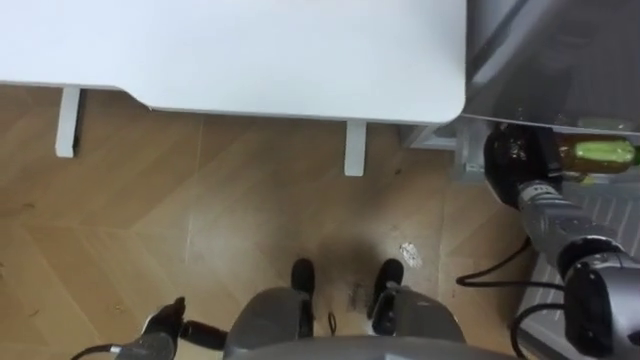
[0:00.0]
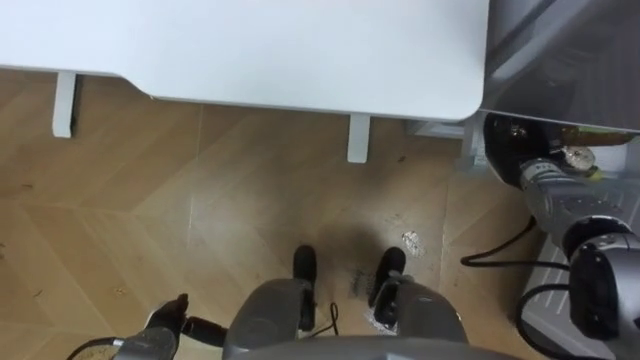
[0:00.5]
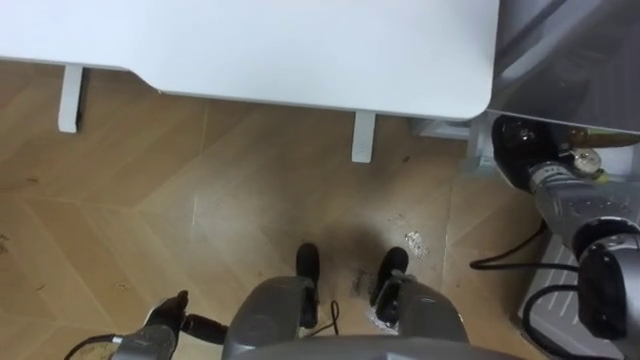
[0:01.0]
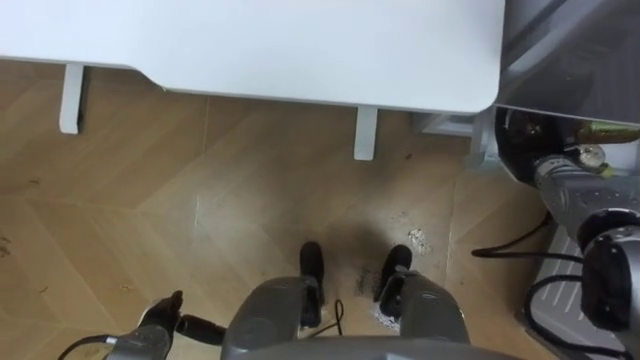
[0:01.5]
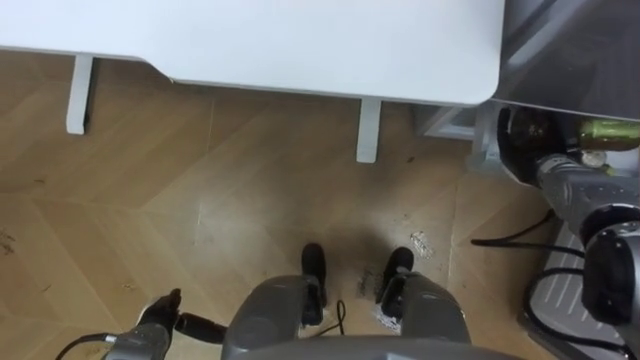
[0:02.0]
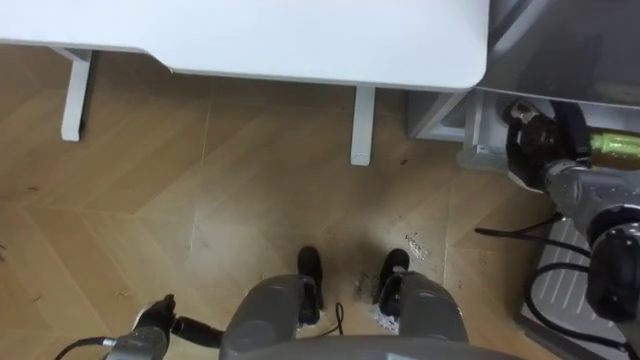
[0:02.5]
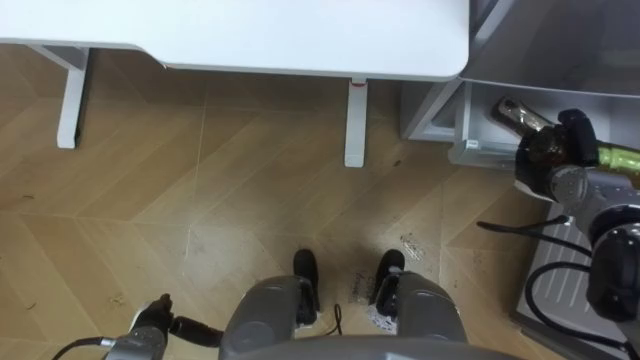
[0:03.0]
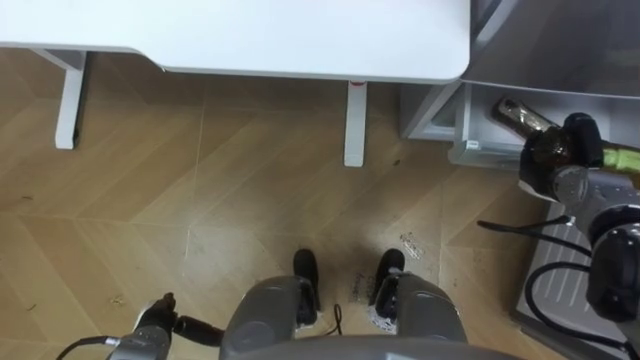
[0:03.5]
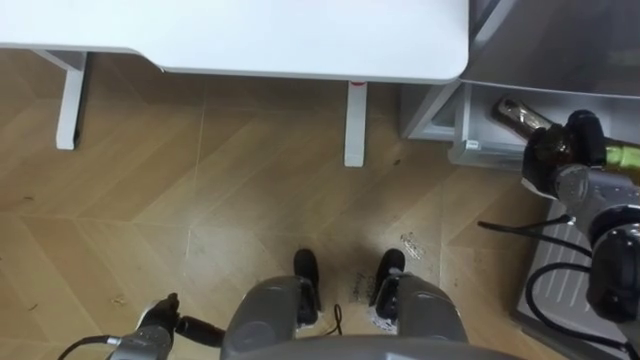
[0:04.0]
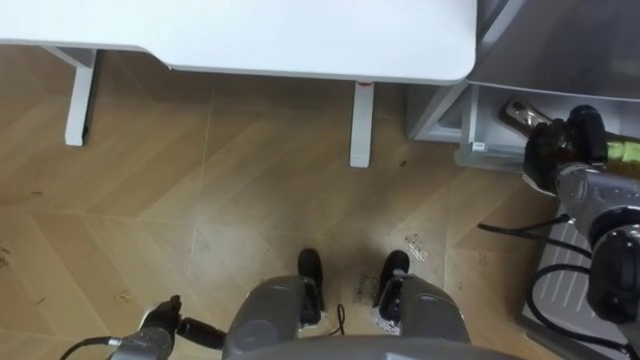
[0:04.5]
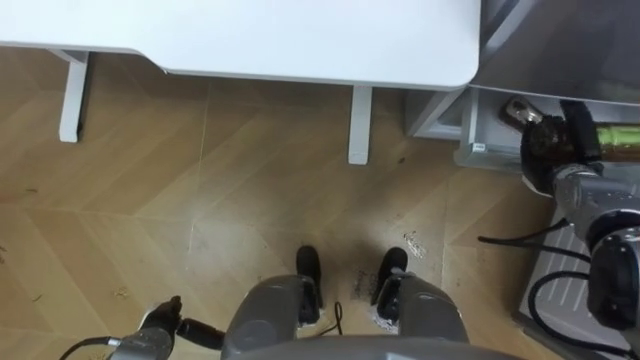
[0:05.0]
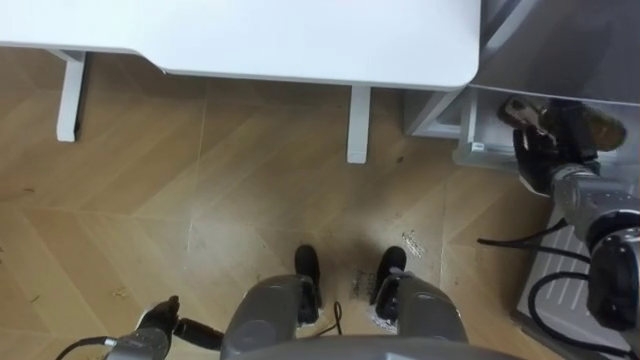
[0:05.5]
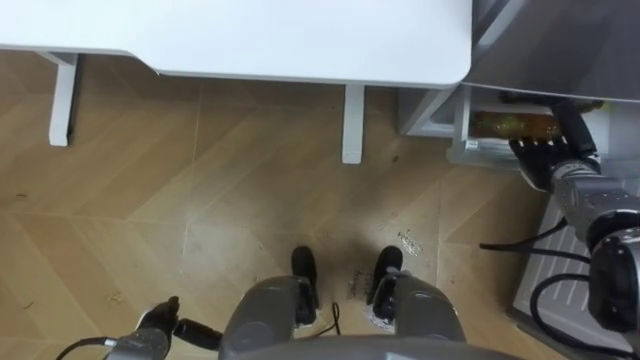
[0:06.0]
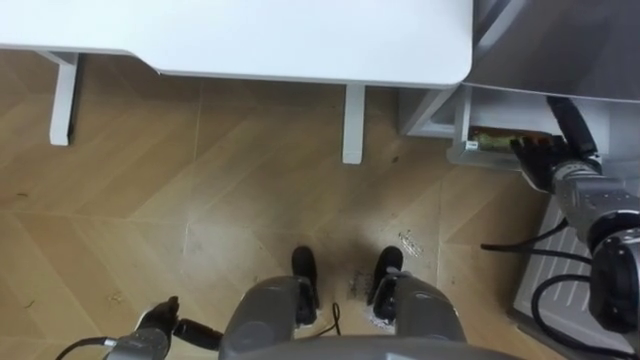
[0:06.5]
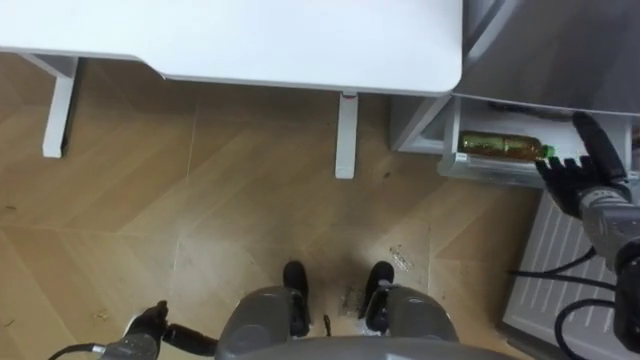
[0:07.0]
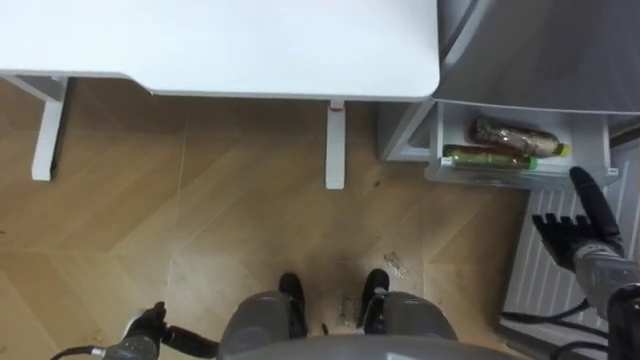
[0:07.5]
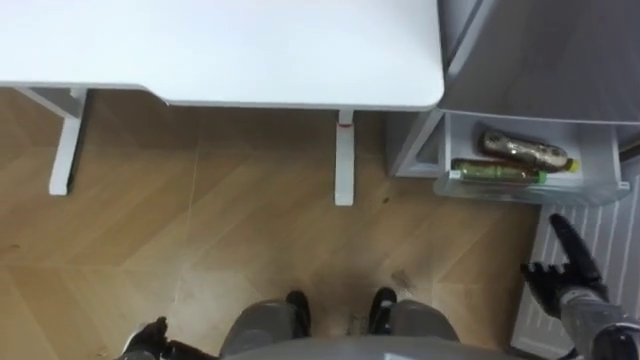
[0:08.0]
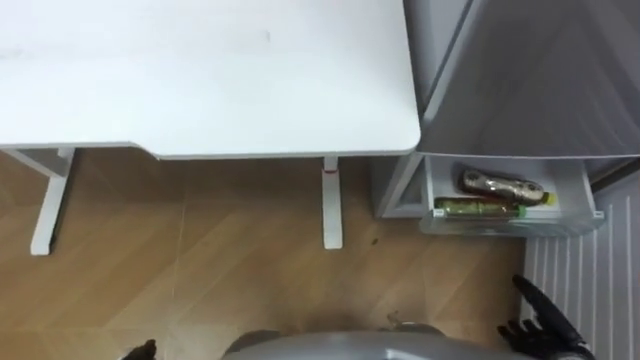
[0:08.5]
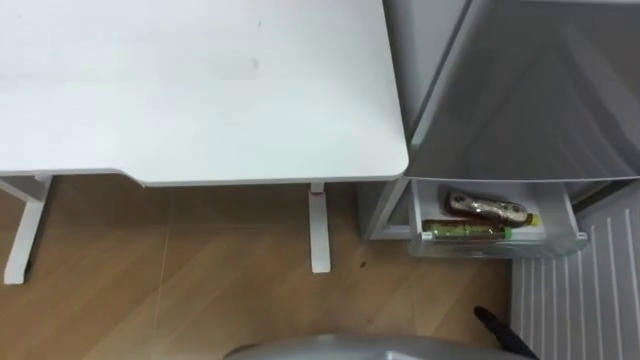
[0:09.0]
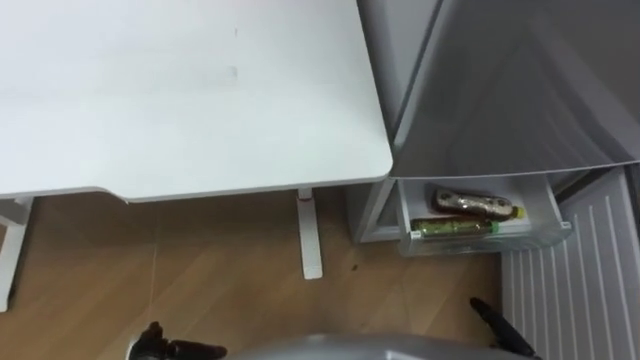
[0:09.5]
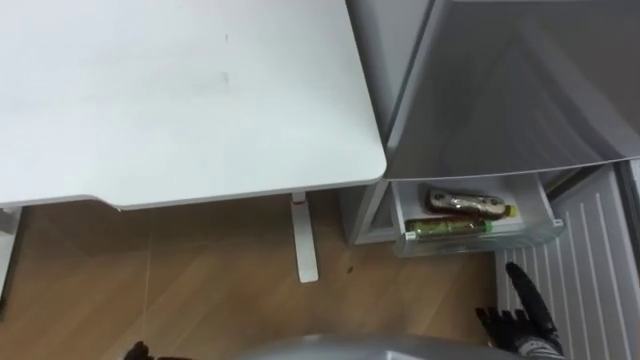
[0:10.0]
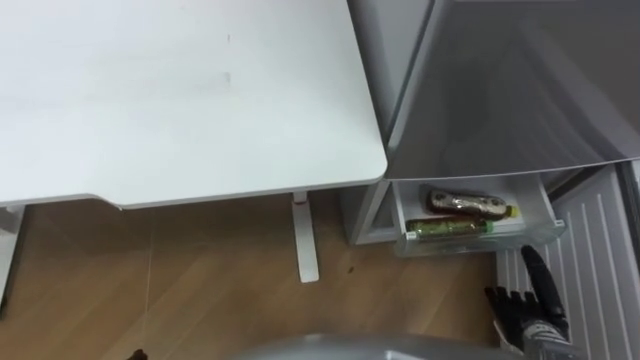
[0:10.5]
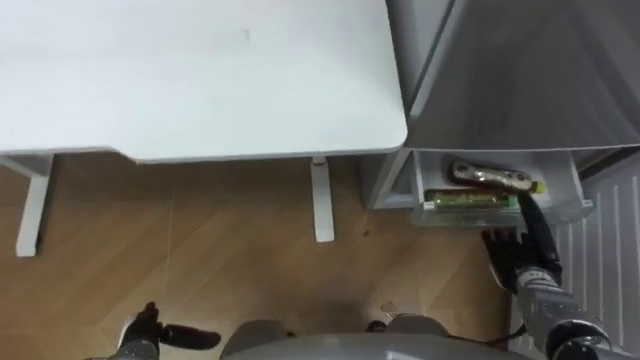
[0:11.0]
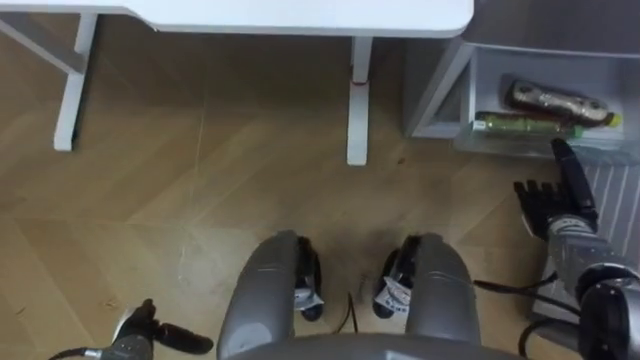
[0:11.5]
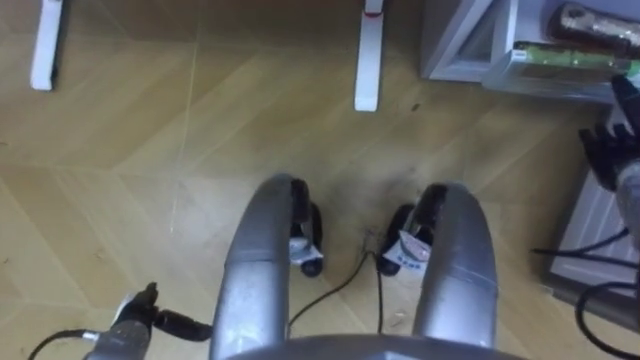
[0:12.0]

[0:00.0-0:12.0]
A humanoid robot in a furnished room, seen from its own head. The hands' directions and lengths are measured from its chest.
Task of the whole recording: Place the drink on the table on the bottom shelf of the refrigerator, then close the drawer and the refrigerator door.
0:04.0 to 0:06.0: The right hand opens its fingers.
0:06.0 to 0:08.0: The right hand travels backward and downward by about 15 cm.
0:10.0 to 0:12.0: The right hand shifts approximately 30 cm forward, upward and to the right.

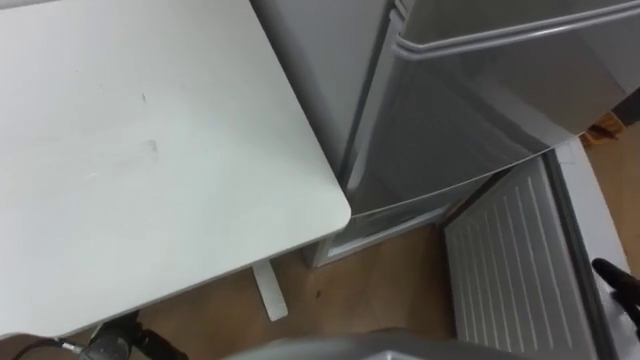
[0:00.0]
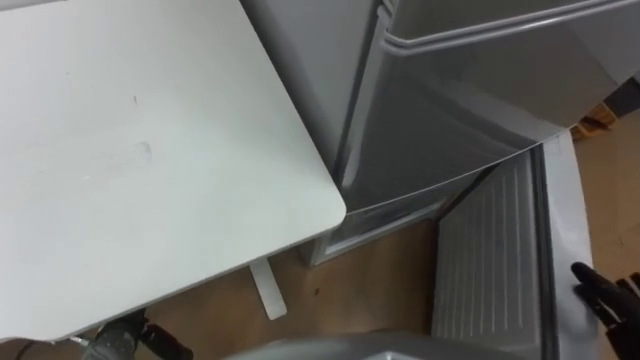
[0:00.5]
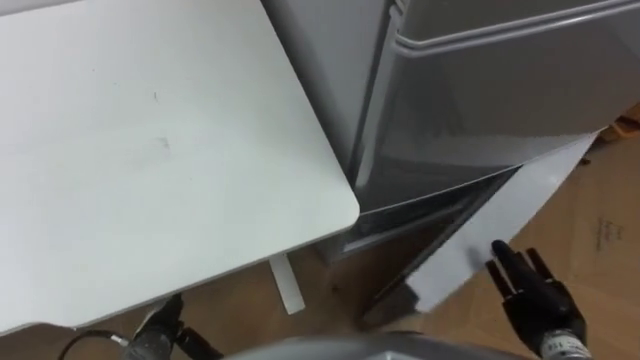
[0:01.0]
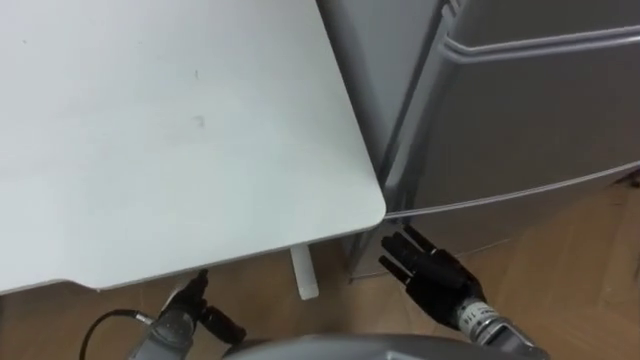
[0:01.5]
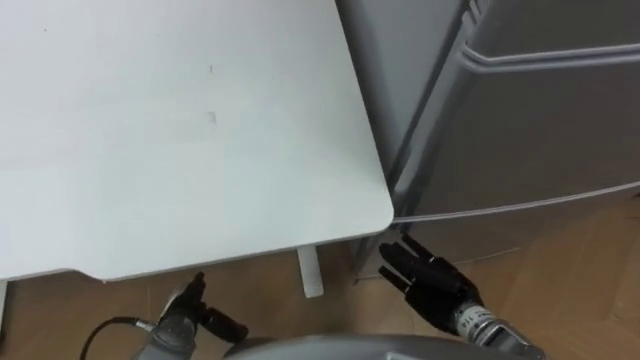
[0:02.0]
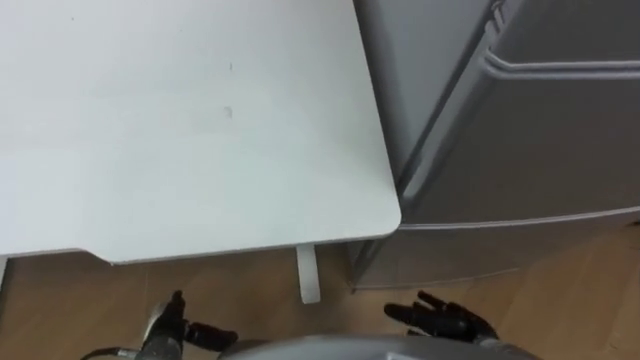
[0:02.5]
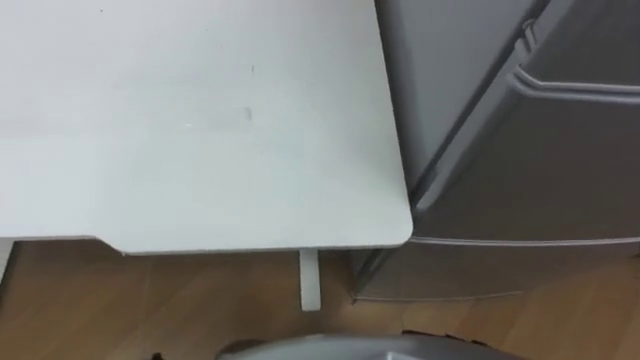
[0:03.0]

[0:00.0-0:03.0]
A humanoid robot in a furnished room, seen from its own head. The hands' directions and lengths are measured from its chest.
Task of the whole recording: Place the drink on the table on the bottom shelf of the refrigerator, then close the drawer and the refrigerator door.
0:00.0 to 0:01.5: The left hand goes approximately 10 cm to the right.

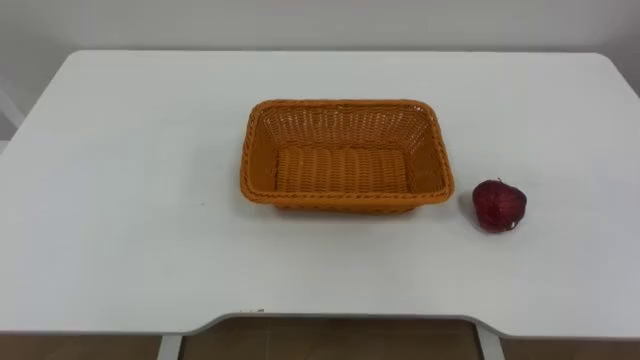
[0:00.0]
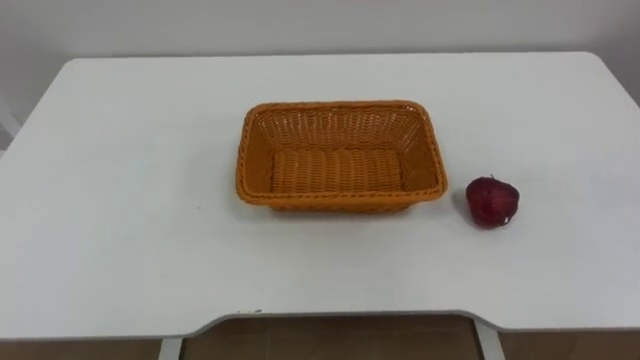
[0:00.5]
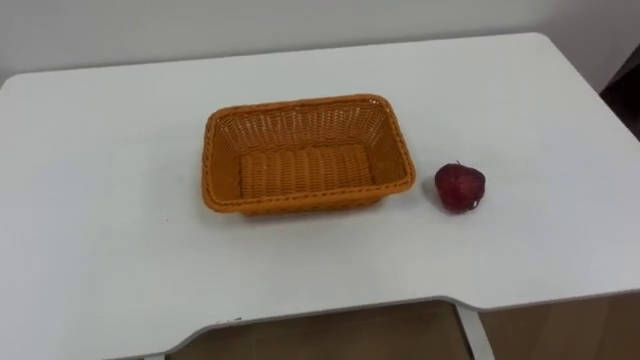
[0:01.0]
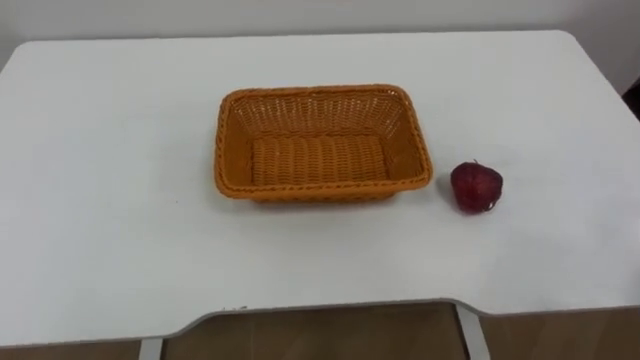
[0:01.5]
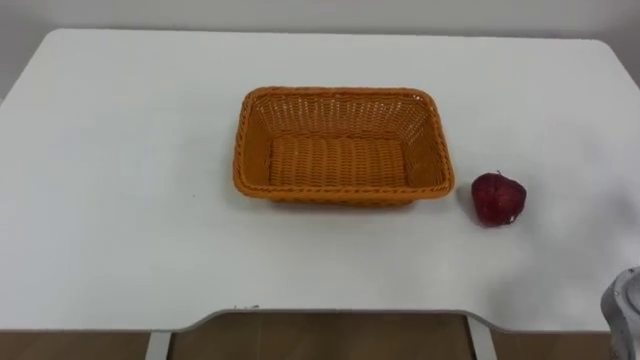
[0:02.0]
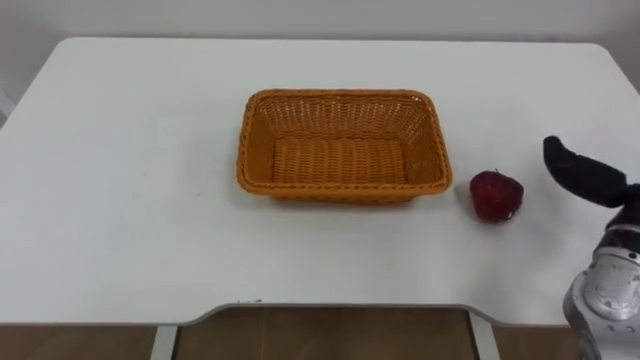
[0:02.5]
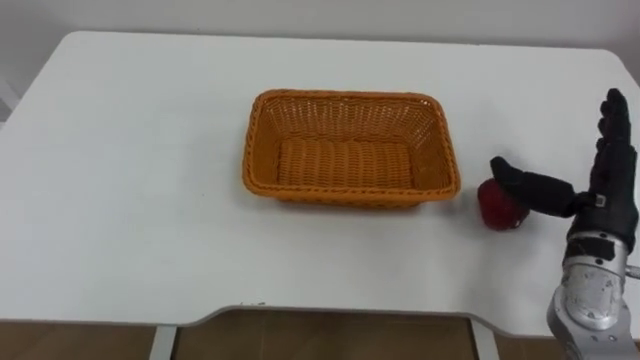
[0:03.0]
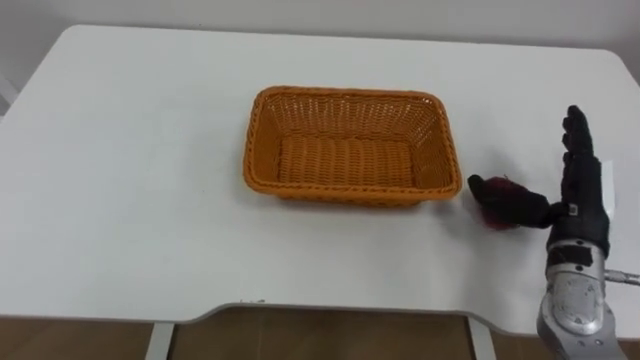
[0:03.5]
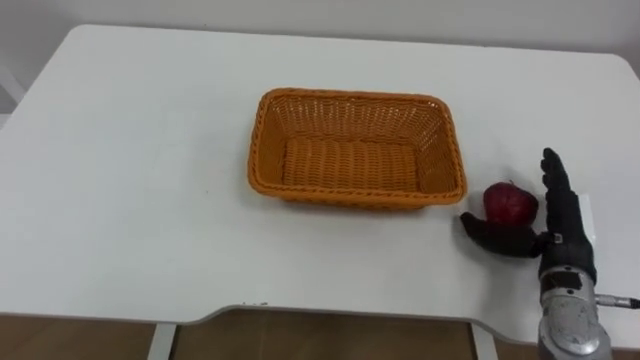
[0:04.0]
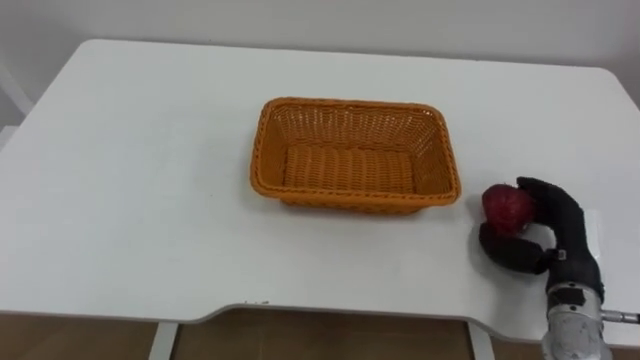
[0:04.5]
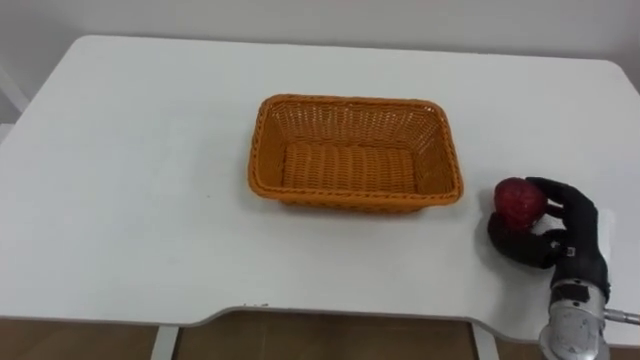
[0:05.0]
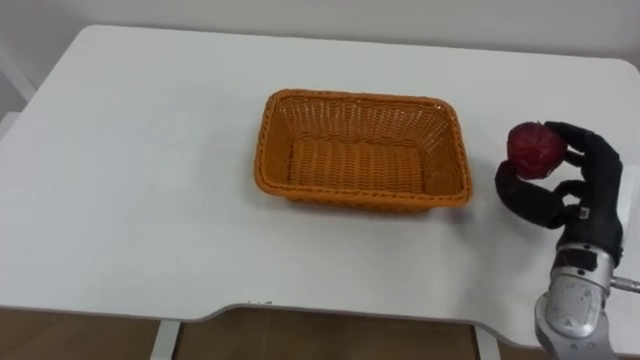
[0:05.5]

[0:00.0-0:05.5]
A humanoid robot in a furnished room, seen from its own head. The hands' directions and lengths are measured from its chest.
Task of the whole recording: Pick the apple and place it in the box.
0:03.5 to 0:05.5: The right hand closes.
